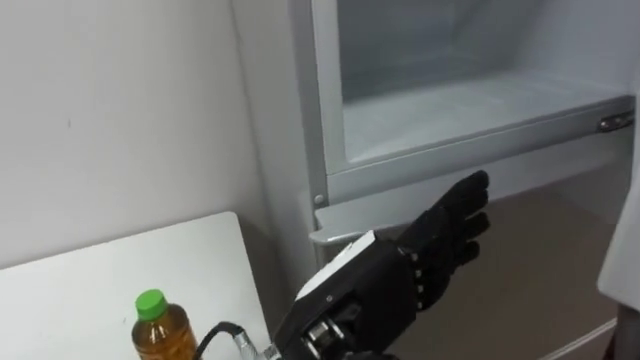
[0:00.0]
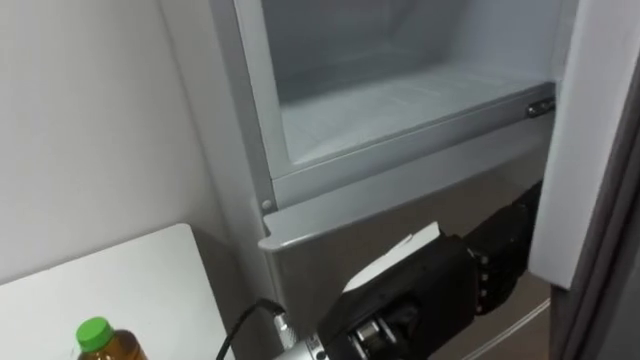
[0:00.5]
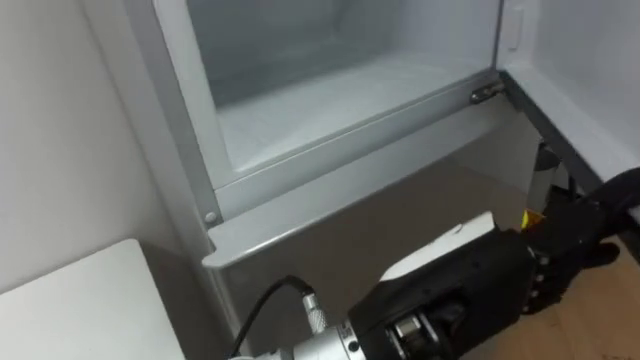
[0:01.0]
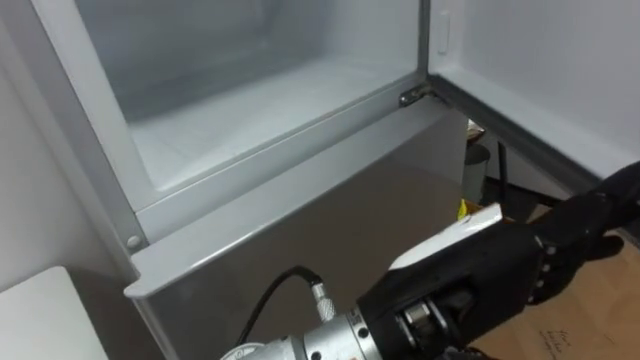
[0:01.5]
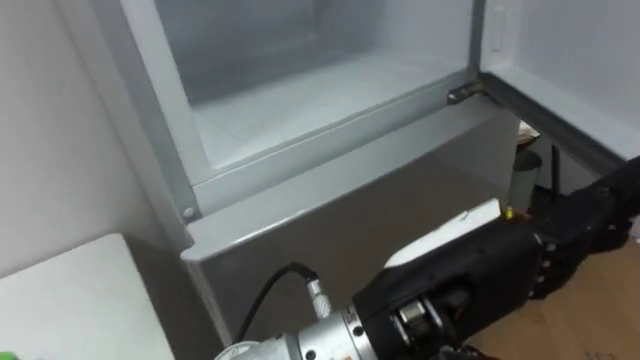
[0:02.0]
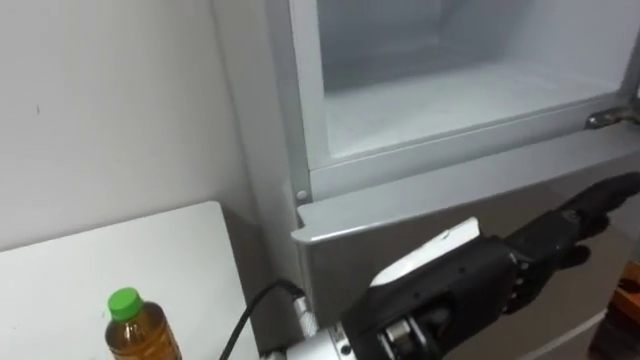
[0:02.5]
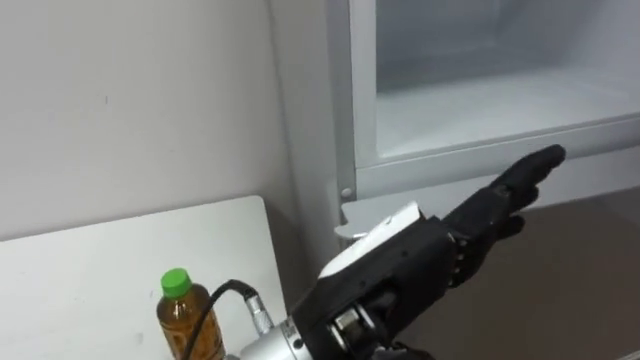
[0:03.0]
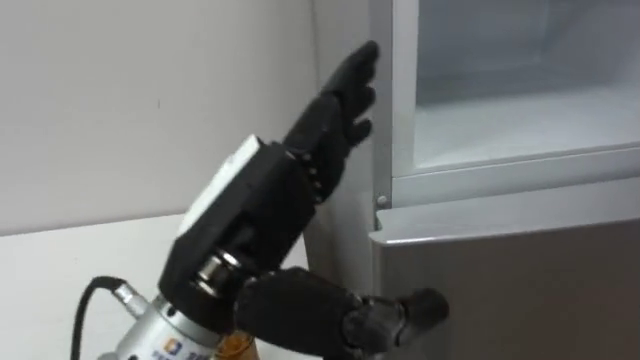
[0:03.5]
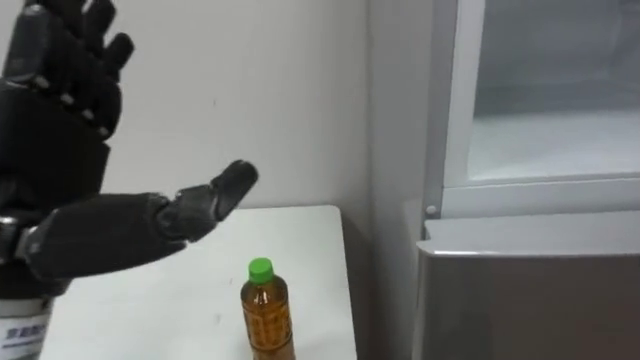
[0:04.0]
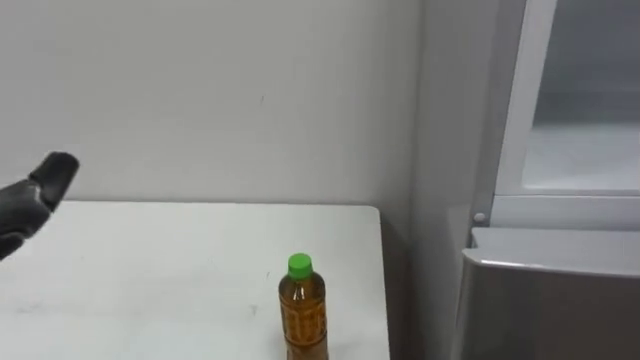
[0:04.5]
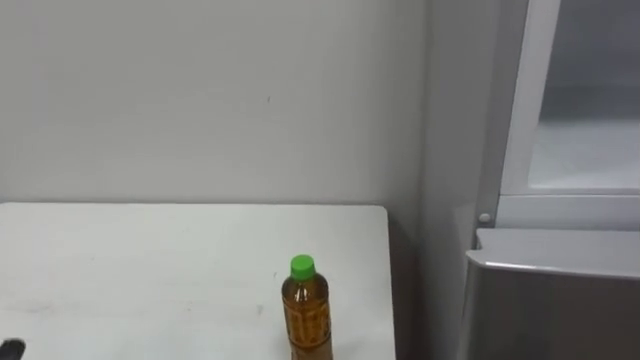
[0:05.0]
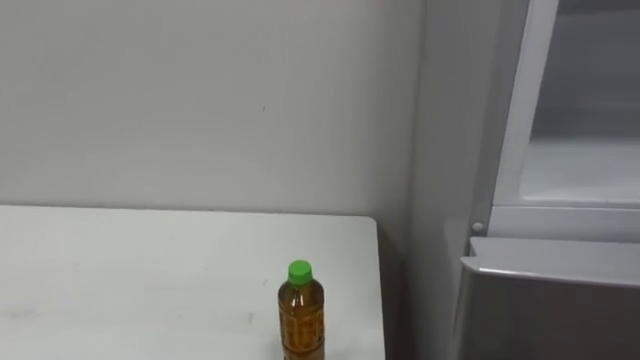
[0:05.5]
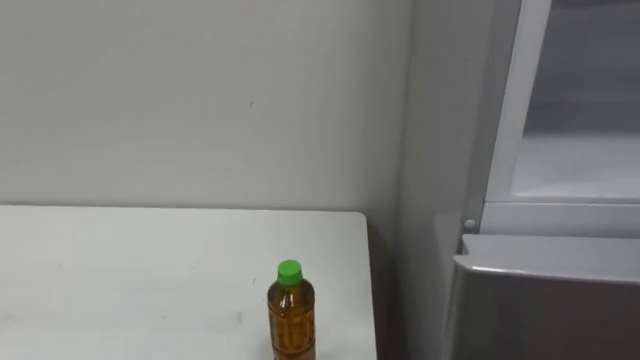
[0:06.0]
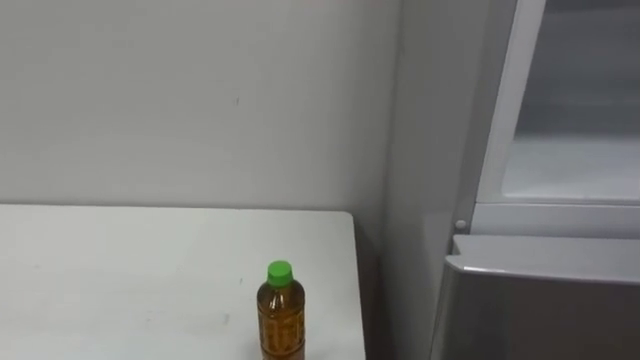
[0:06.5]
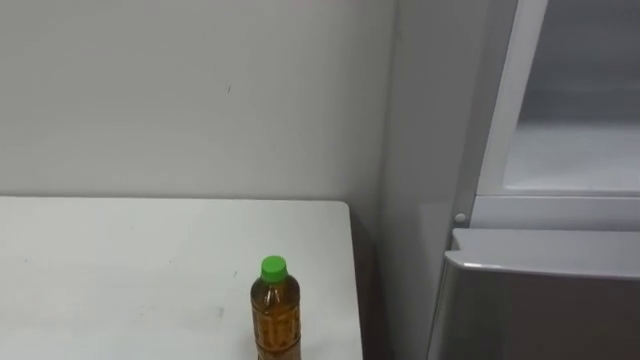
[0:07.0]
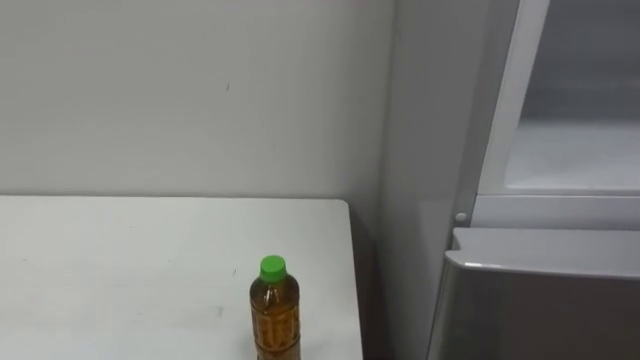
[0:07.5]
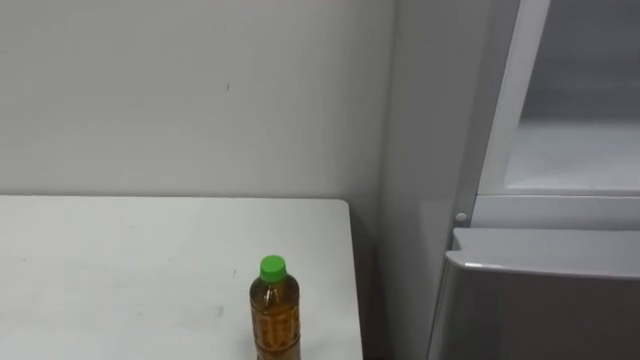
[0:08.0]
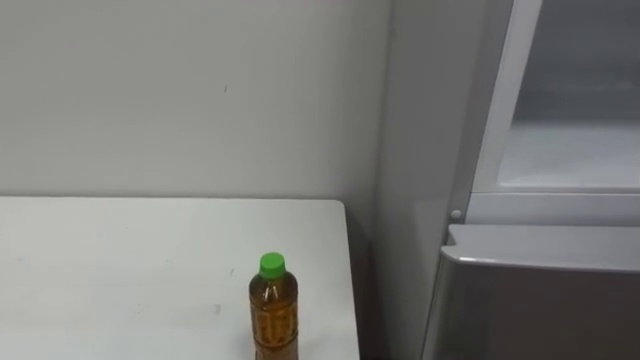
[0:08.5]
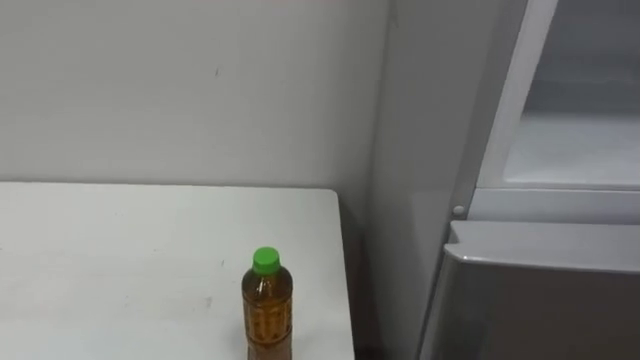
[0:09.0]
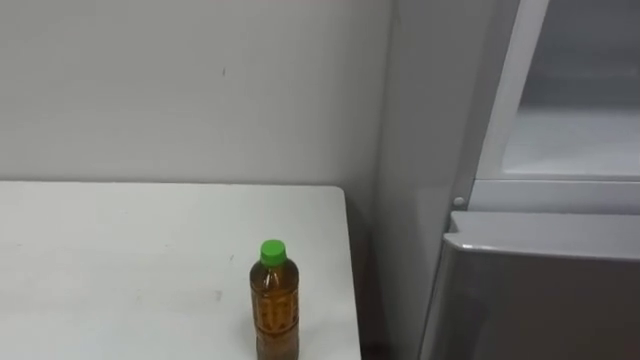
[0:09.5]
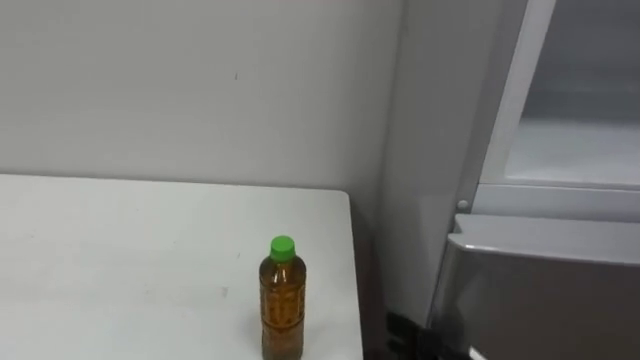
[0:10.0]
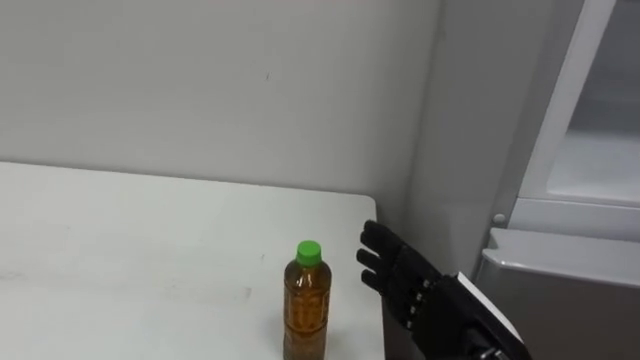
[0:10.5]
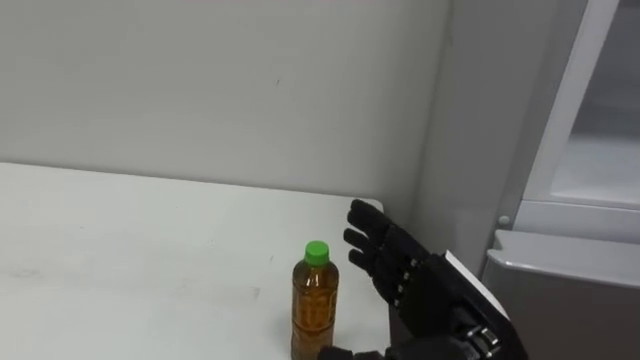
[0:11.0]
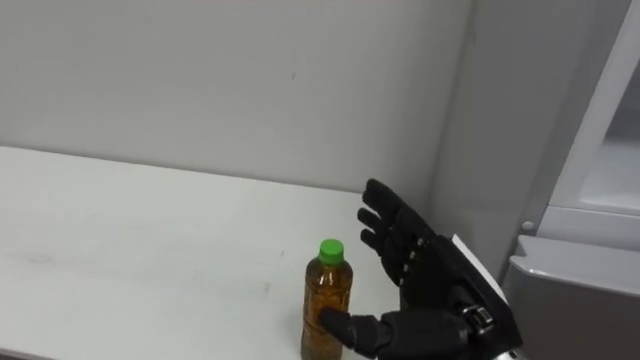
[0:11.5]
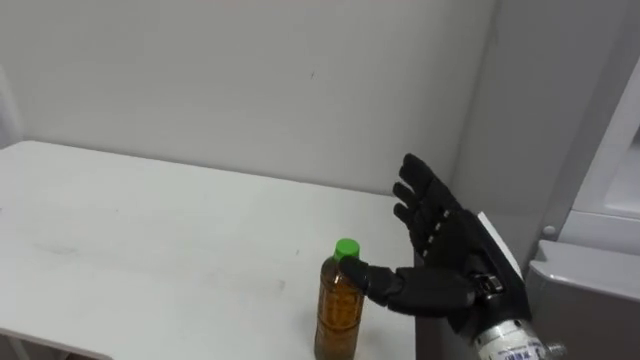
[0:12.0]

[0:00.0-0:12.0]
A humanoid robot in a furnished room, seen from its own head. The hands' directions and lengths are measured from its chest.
Task of the whole recording: Open the upper refrigerator door, put the drink from the table into the refrigerator, and then close the refrigerator door.
0:00.0 to 0:02.0: The left hand moves to the right, roughly 5 cm.
0:02.0 to 0:04.0: The left hand goes approximately 25 cm to the left.

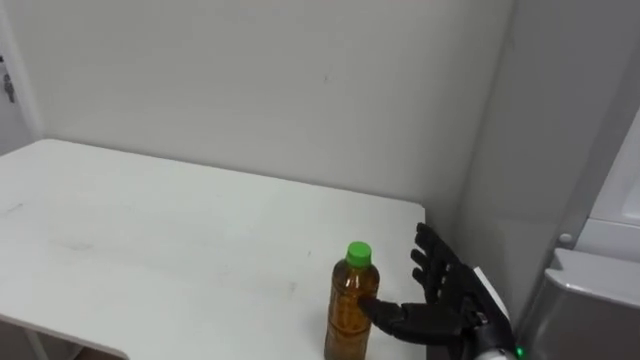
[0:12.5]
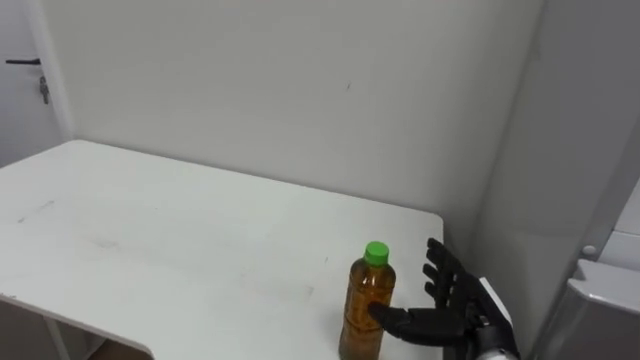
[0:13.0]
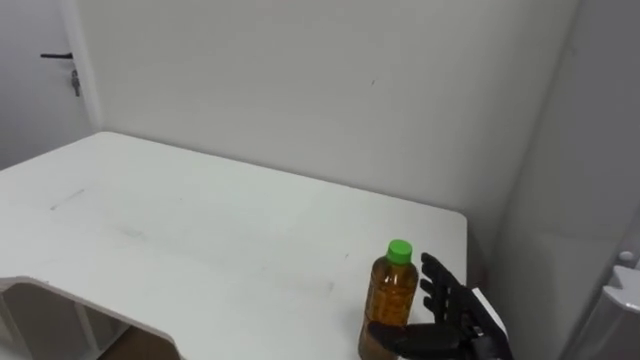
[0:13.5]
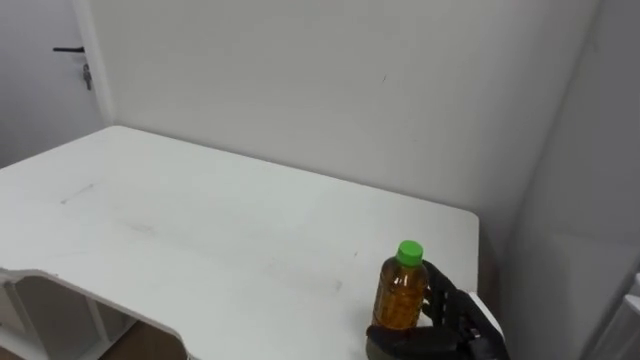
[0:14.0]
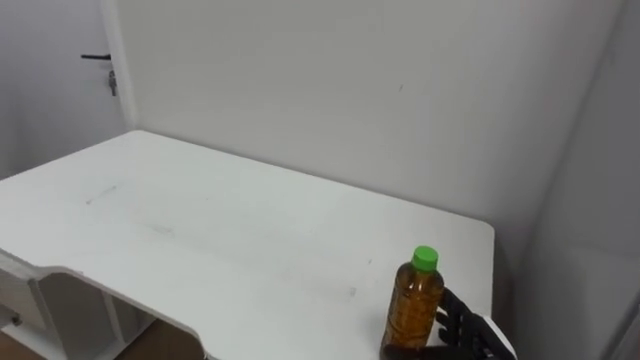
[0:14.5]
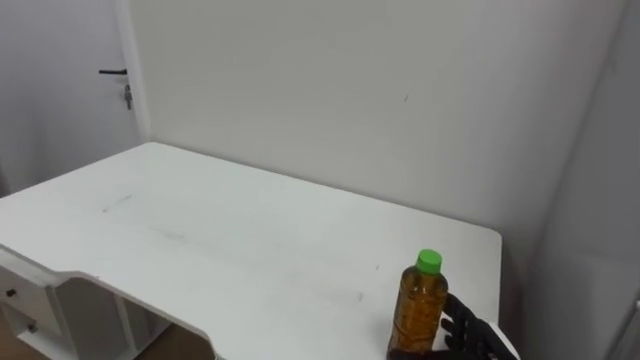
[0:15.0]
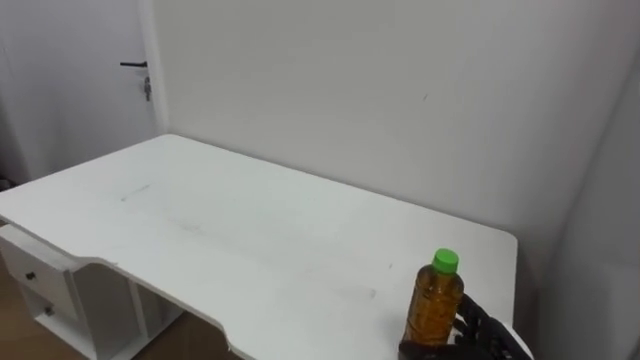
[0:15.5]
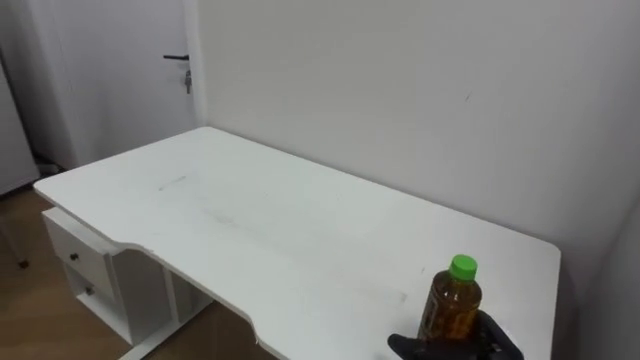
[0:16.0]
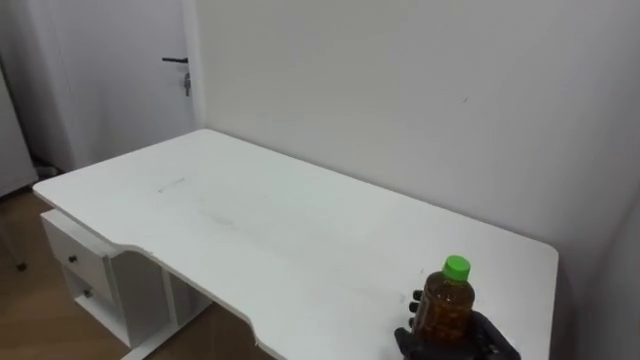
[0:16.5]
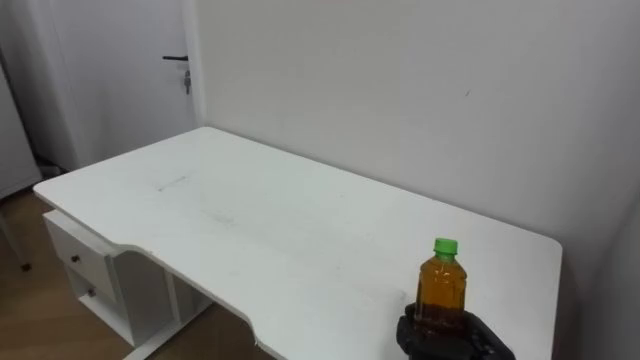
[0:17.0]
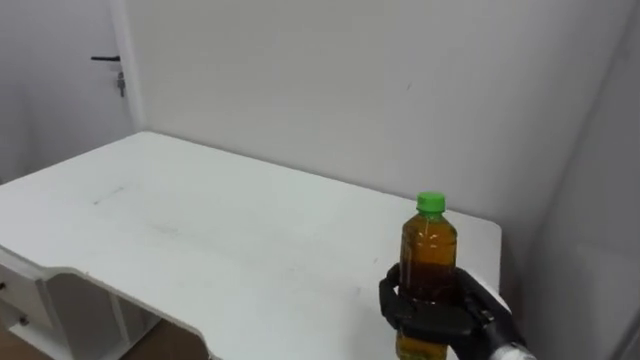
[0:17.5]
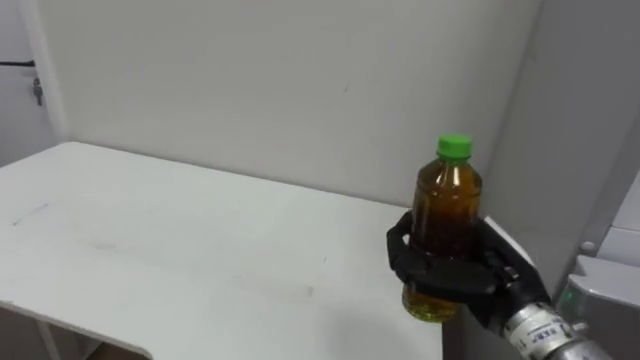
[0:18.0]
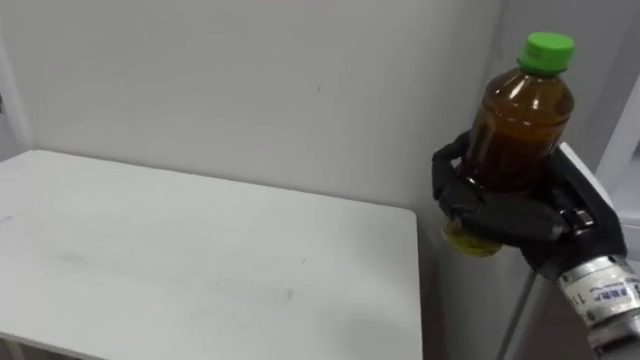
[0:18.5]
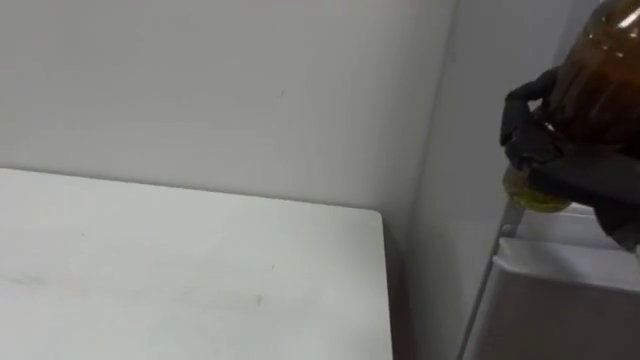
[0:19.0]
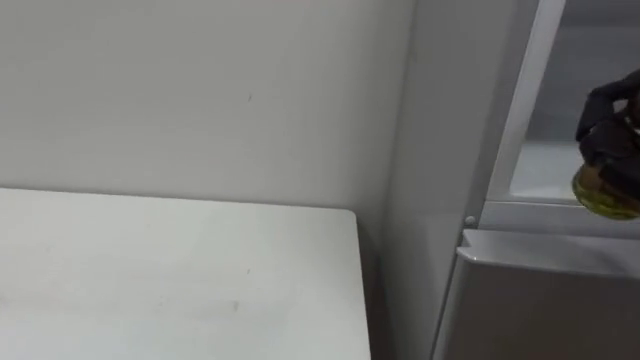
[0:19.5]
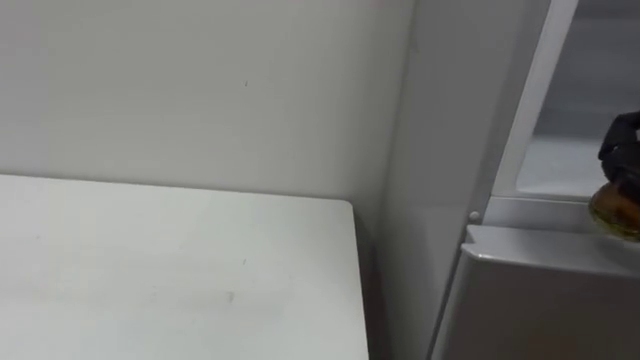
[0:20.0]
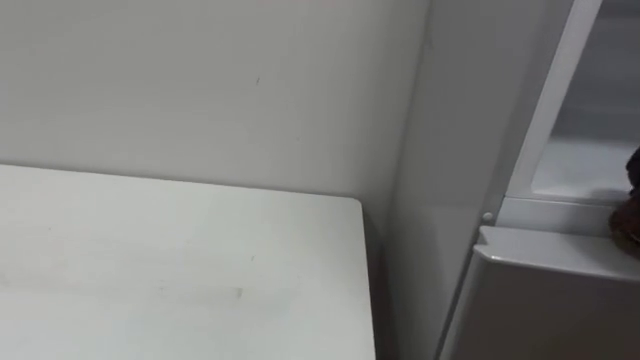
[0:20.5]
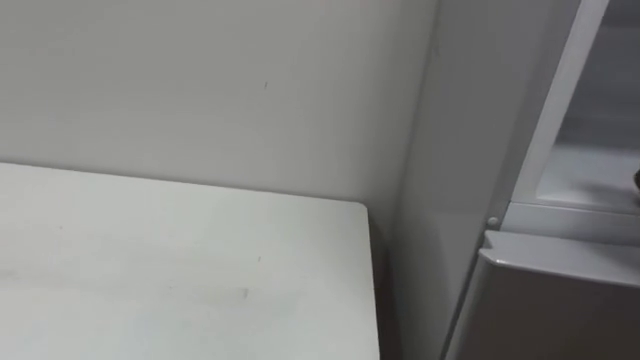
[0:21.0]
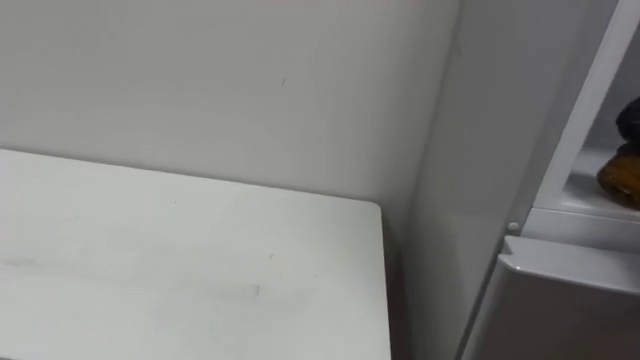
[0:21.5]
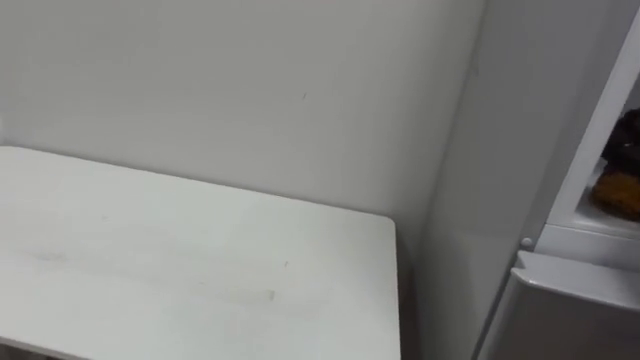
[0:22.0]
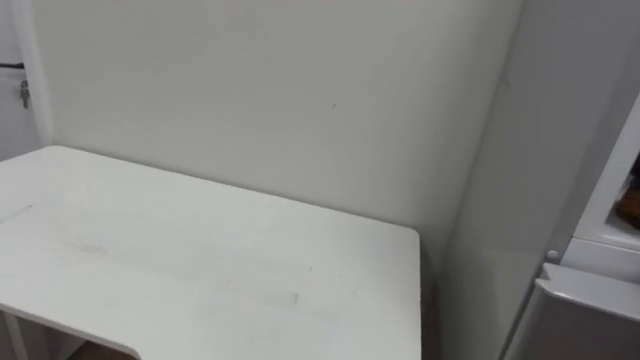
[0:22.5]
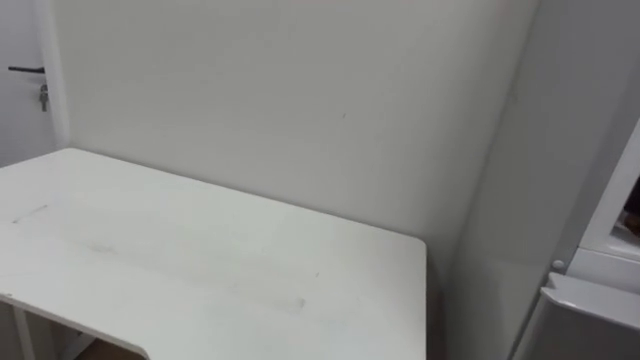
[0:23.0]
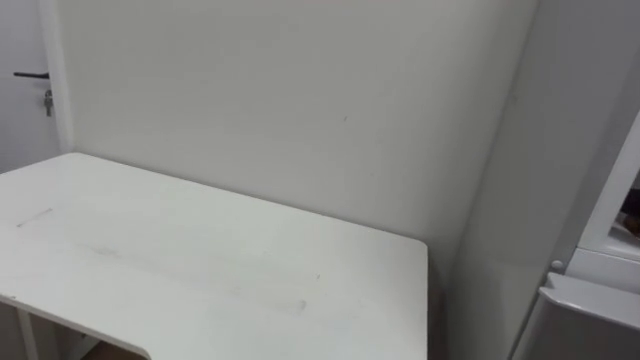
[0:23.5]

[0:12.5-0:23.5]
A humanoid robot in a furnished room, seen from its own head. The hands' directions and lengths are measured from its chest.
Task of the whole recording: Open the upper refrigerator door, put the drink from the table into the refrigerator, and then close the refrigerator door.
0:12.5 to 0:14.5: The right hand moves downward, about 10 cm.
0:16.0 to 0:18.0: The right hand travels upward by about 15 cm, and closes up.
